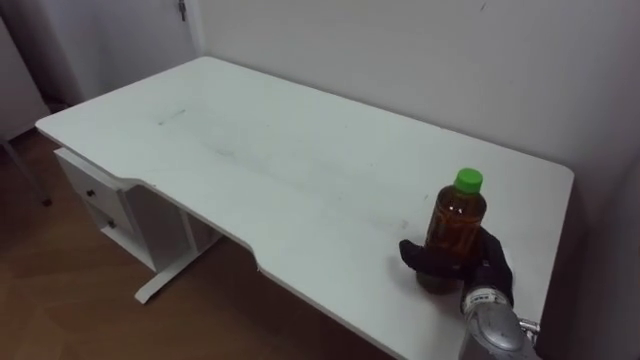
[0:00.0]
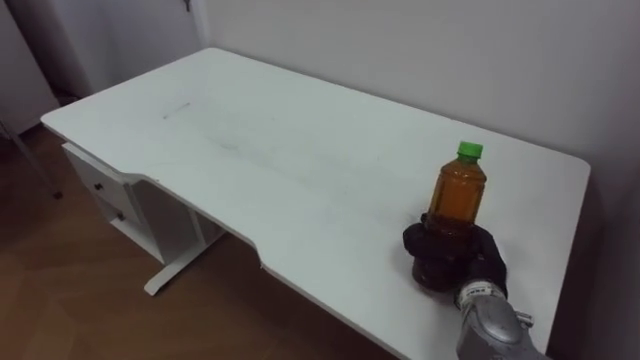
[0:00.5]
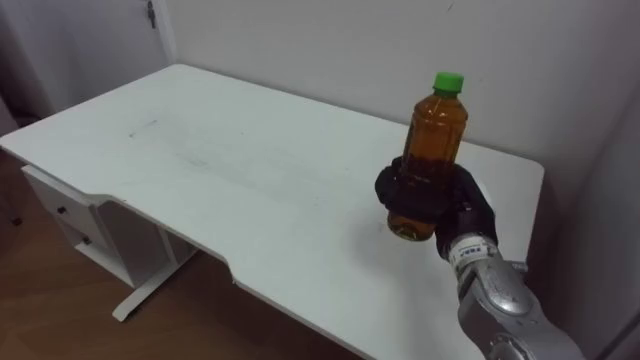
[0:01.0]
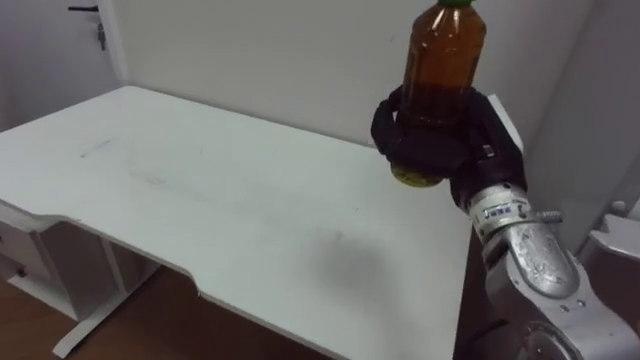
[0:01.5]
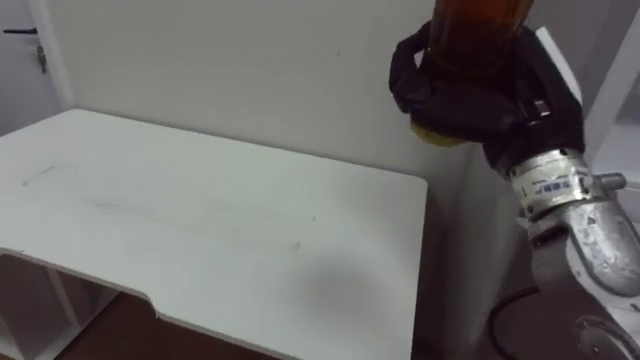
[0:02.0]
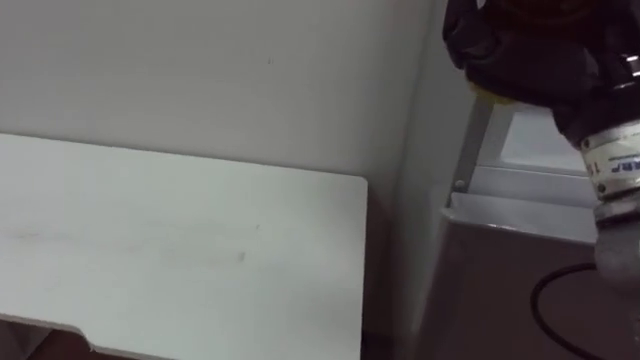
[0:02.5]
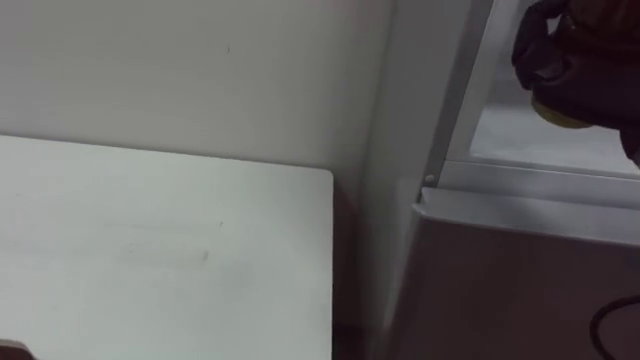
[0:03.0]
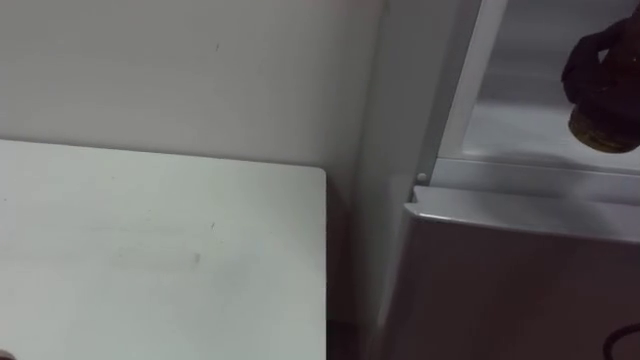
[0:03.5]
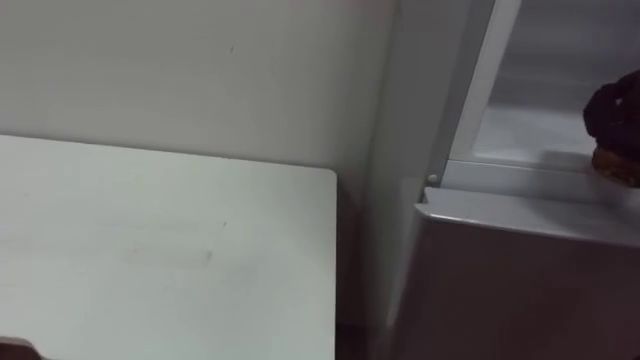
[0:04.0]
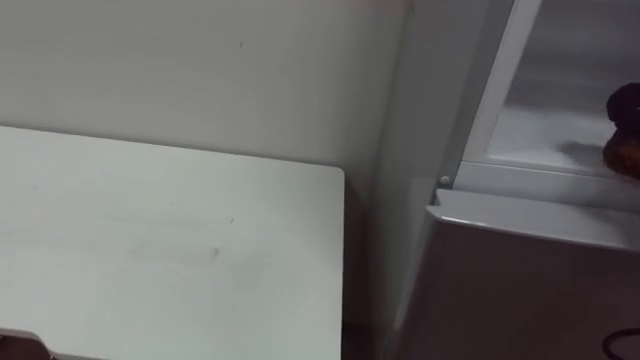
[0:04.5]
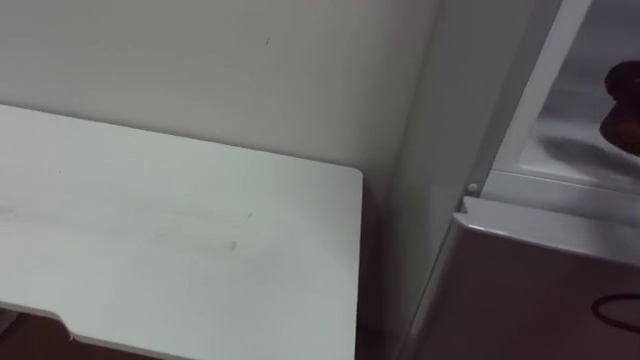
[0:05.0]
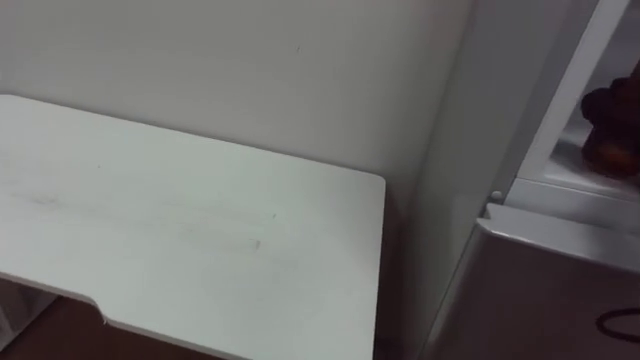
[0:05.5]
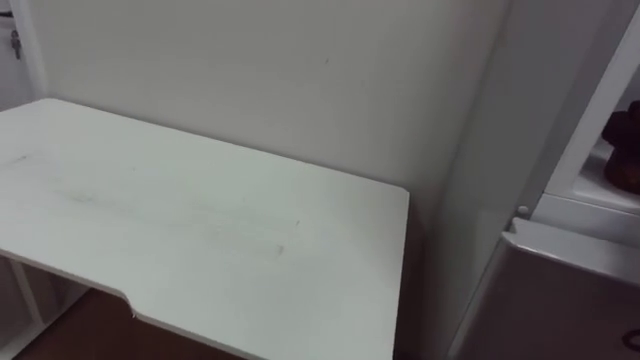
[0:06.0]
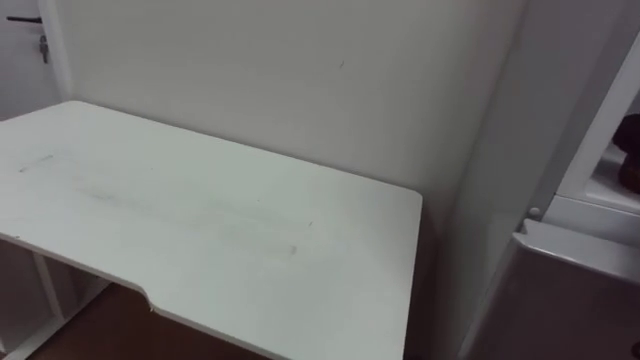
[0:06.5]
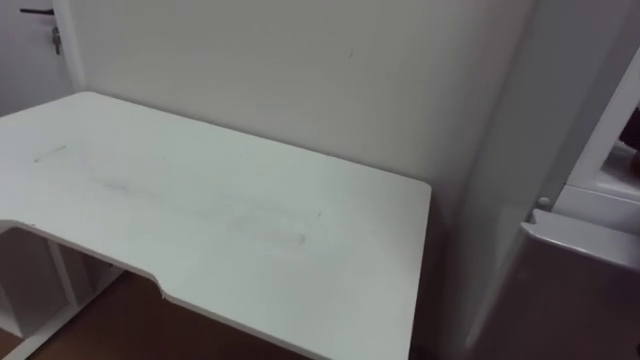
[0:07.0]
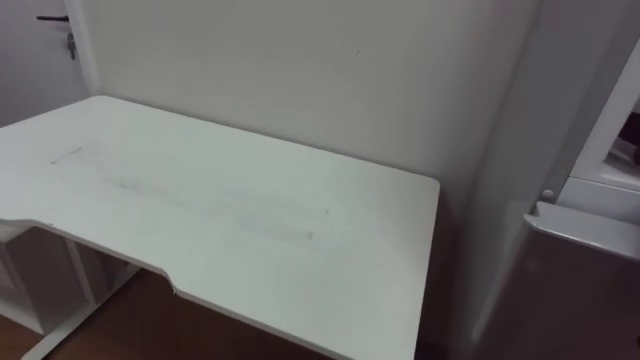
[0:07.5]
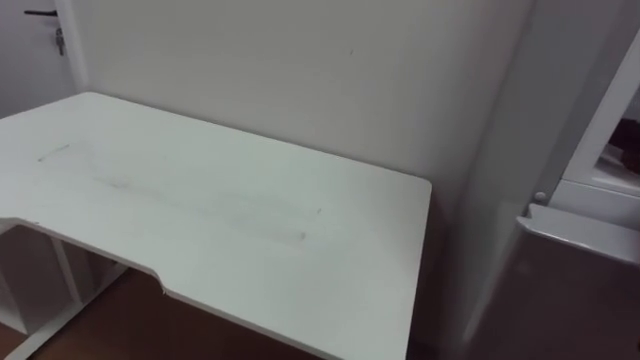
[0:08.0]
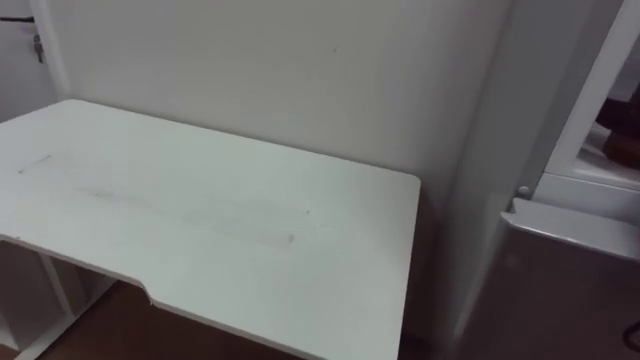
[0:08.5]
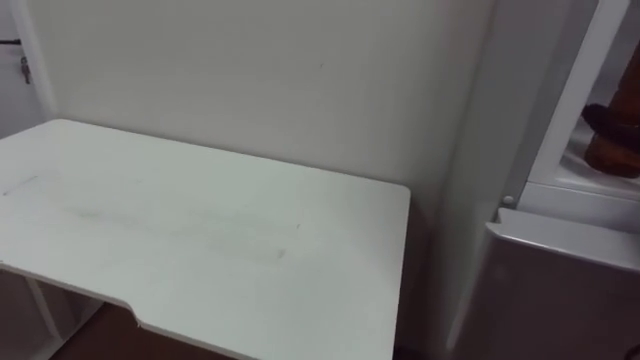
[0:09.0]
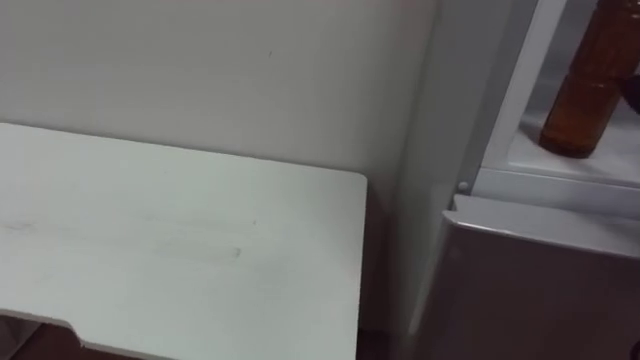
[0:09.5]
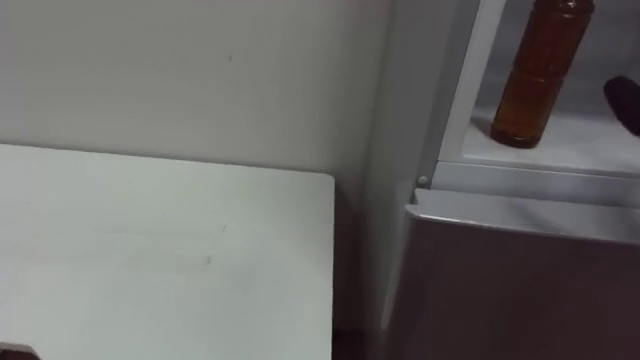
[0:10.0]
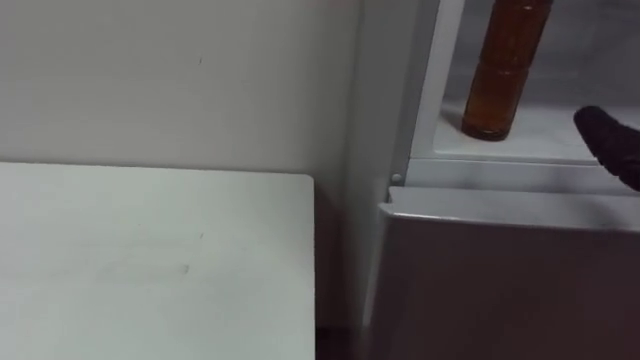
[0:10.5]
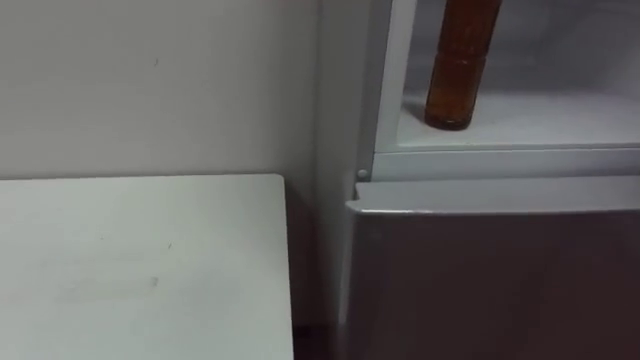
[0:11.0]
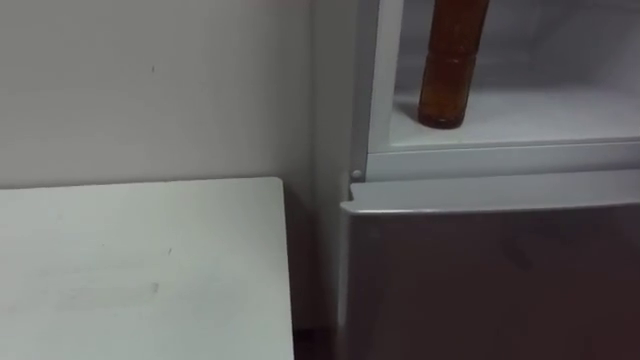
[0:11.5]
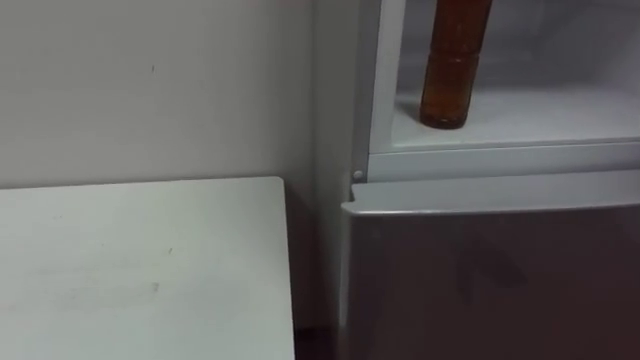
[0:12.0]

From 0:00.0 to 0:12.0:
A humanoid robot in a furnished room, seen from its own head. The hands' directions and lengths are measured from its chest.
Task of the whole recording: Open the upper refrigerator door, put the drink from the table into the refrigerator, and then close the refrigerator door.
From 0:00.0 to 0:02.0: The right hand goes some 25 cm upward, and closes its fingers.

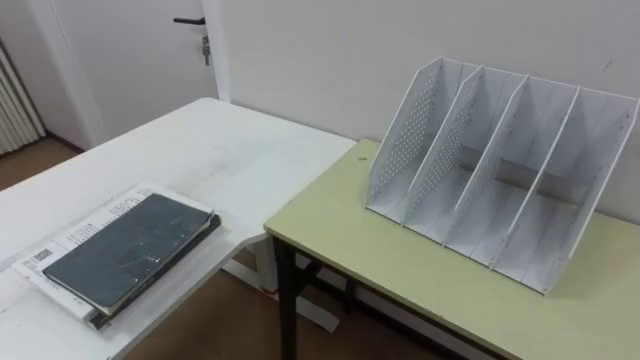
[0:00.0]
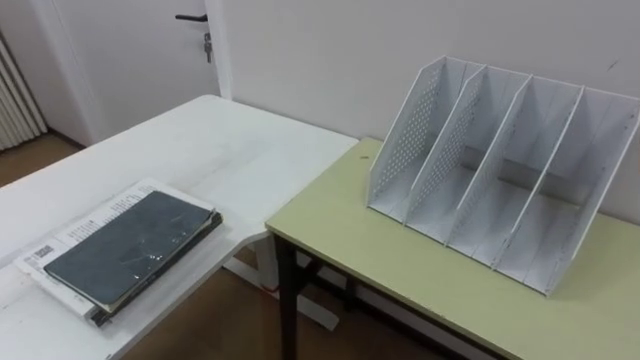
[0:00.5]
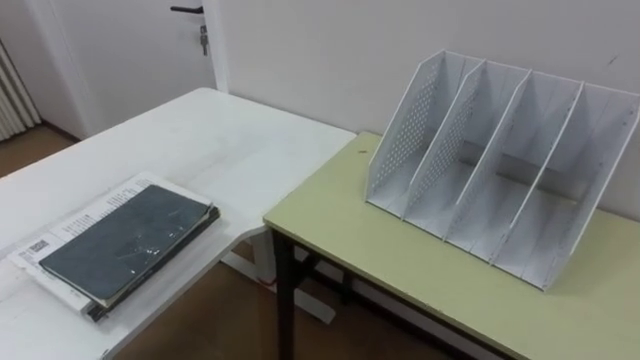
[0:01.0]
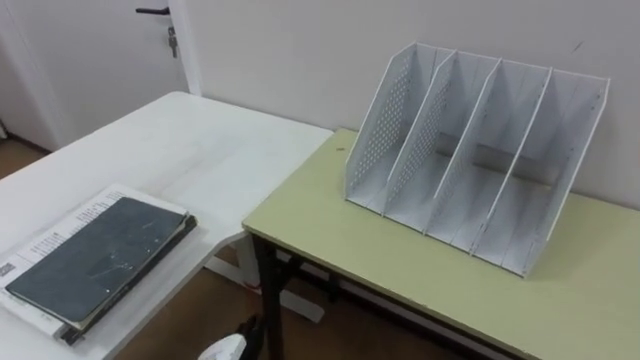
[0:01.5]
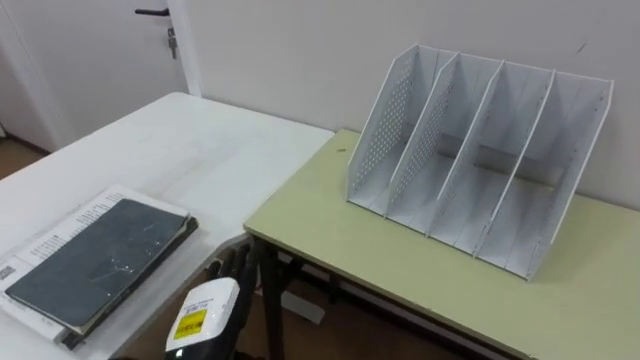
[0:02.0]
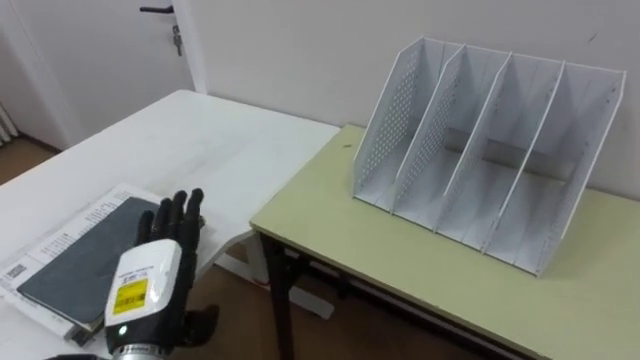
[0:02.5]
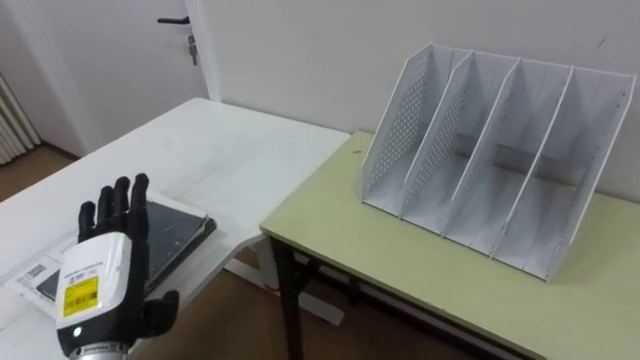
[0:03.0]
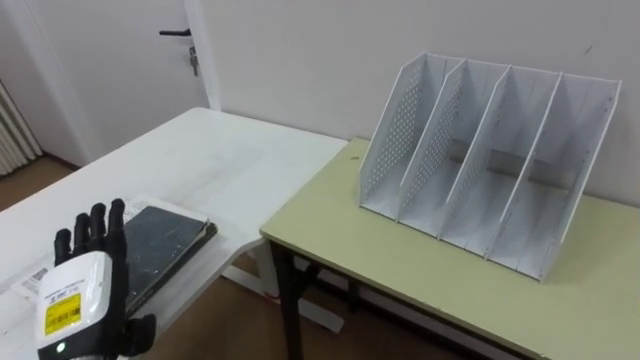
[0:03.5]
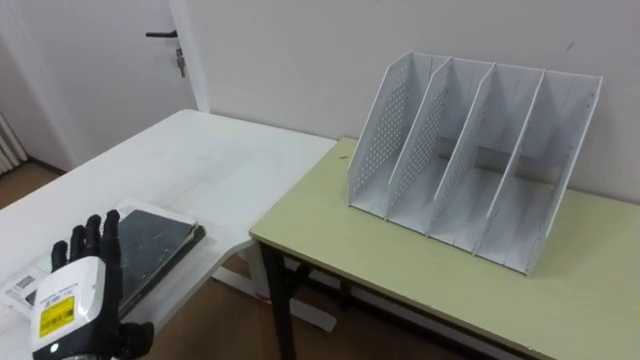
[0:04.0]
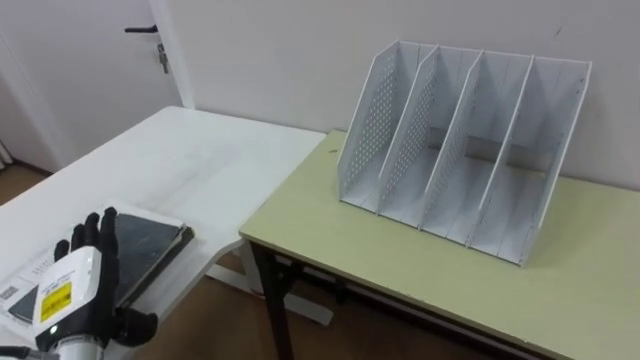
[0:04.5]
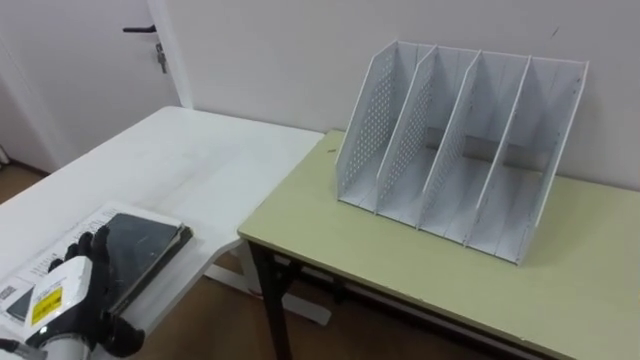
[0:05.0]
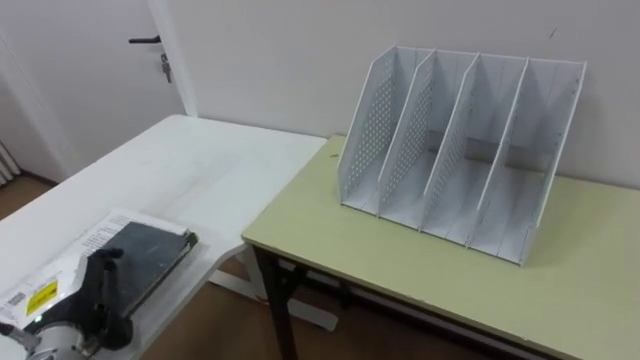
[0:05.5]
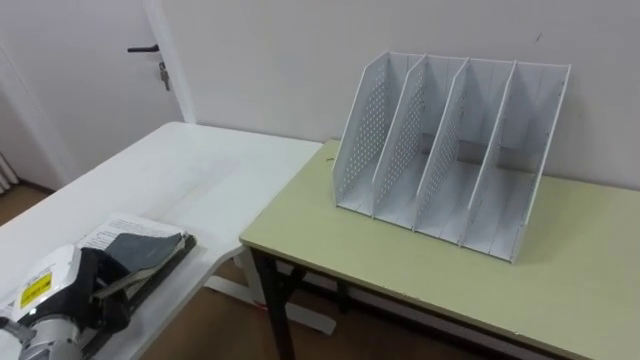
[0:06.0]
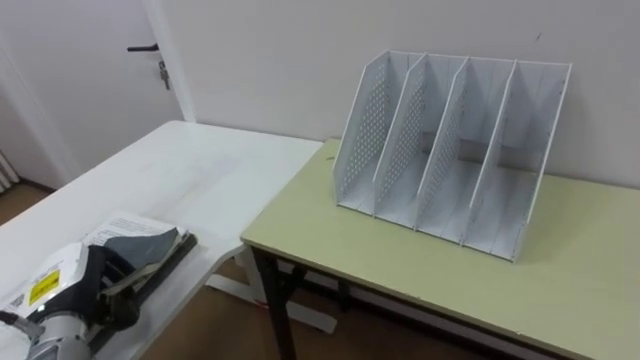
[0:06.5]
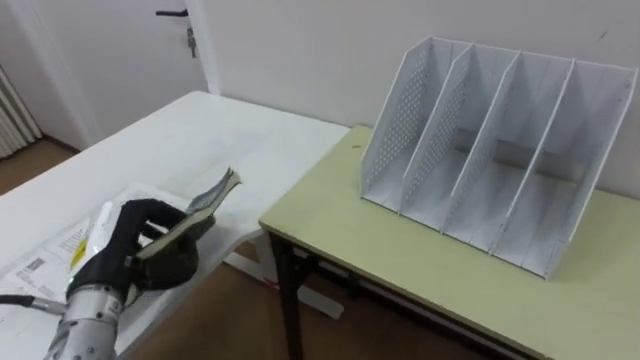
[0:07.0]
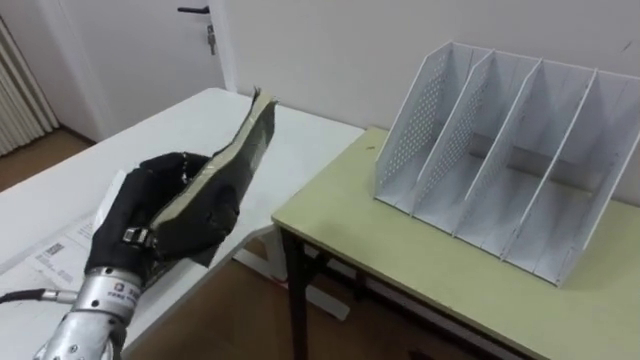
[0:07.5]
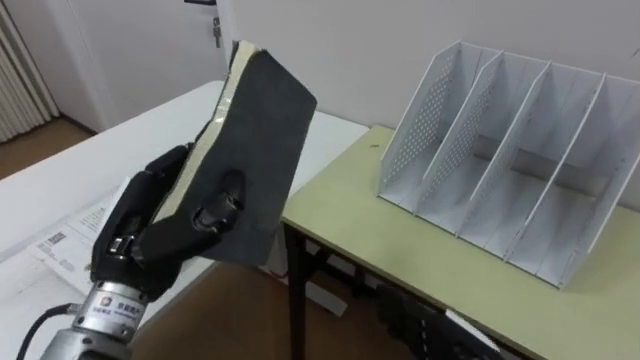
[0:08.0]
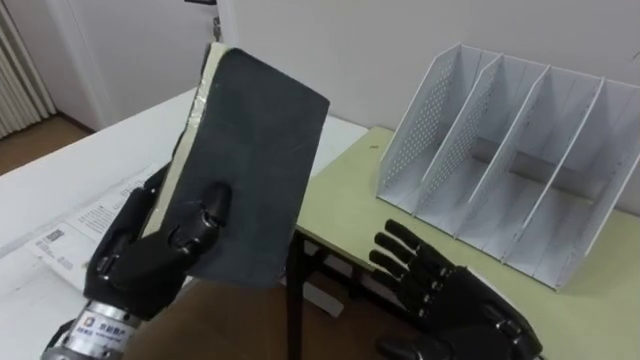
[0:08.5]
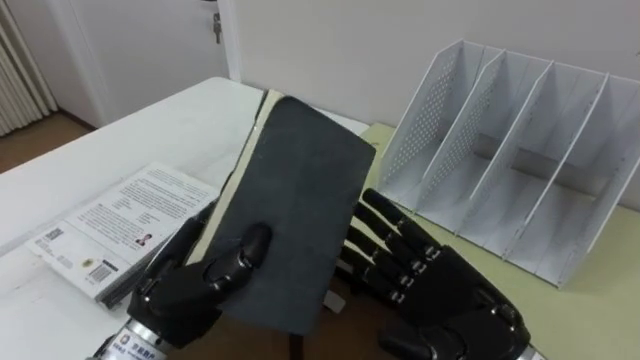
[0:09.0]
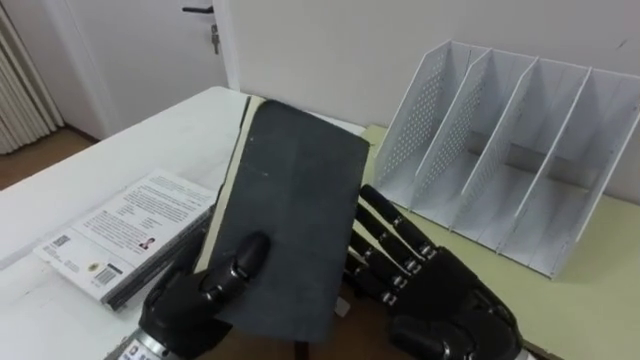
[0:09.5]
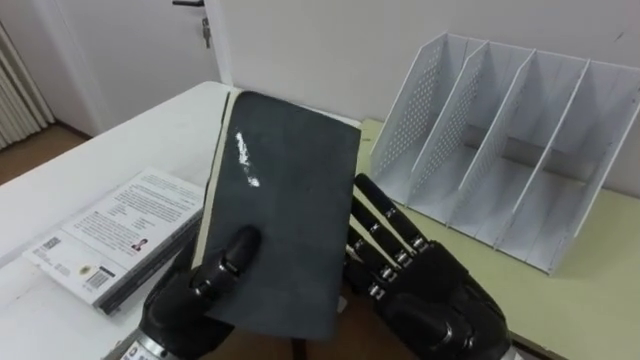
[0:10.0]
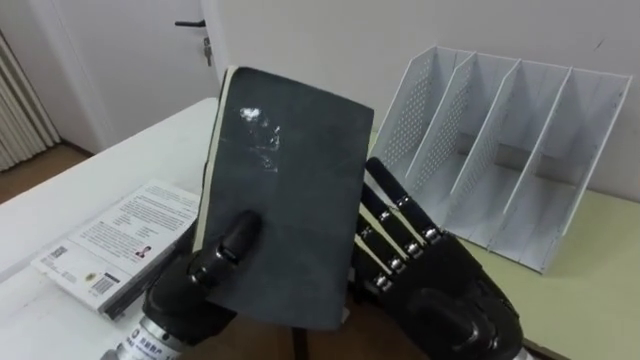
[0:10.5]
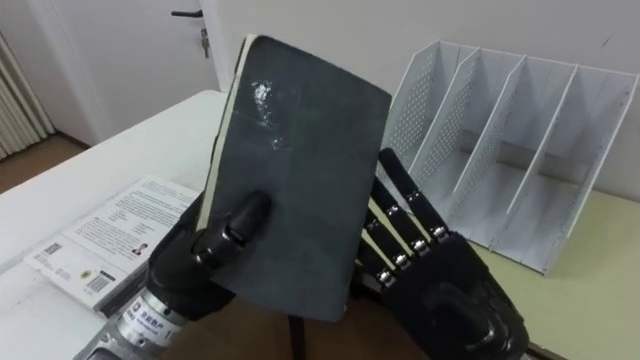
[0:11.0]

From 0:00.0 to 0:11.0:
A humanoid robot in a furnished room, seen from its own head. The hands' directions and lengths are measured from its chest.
Task of the whole recording: Put the books on the table onto the bookshelf.
From 0:02.0 to 0:03.5: The left hand heads to the left, covering some 10 cm.
From 0:03.5 to 0:05.5: The left hand shifts by about 10 cm.
From 0:05.5 to 0:07.5: The left hand goes about 15 cm upward and to the right, and closes its fingers.
From 0:07.5 to 0:09.0: The left hand shifts about 5 cm to the right.
